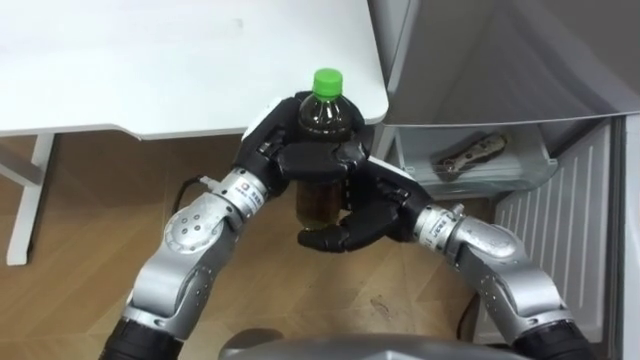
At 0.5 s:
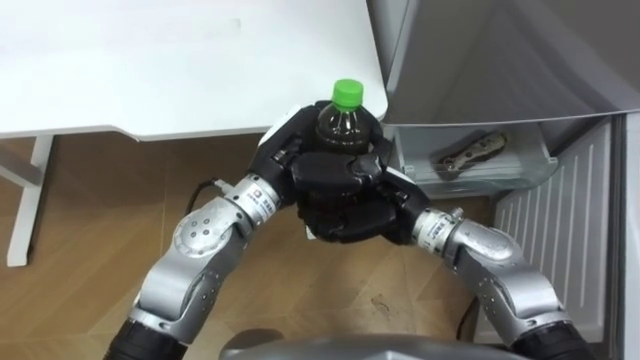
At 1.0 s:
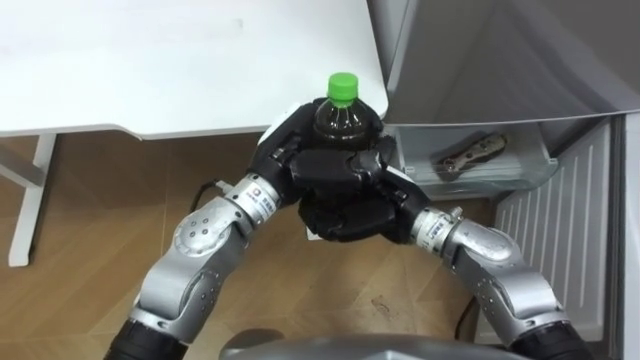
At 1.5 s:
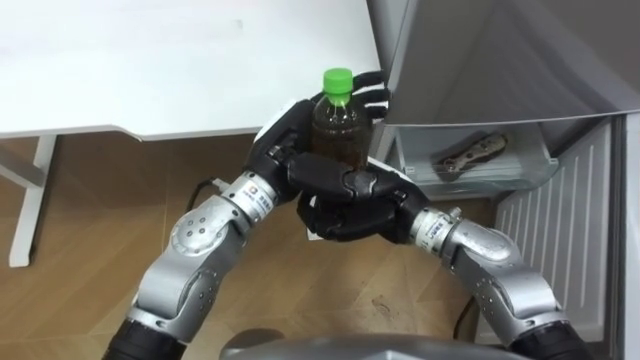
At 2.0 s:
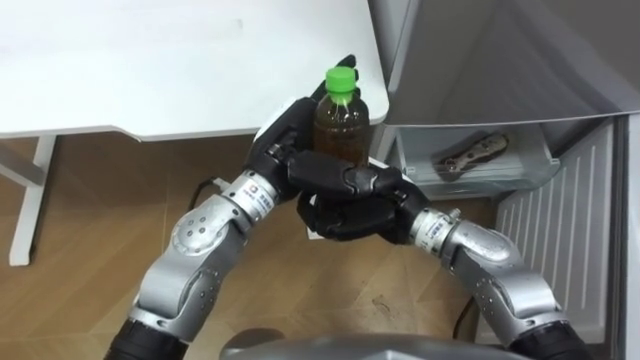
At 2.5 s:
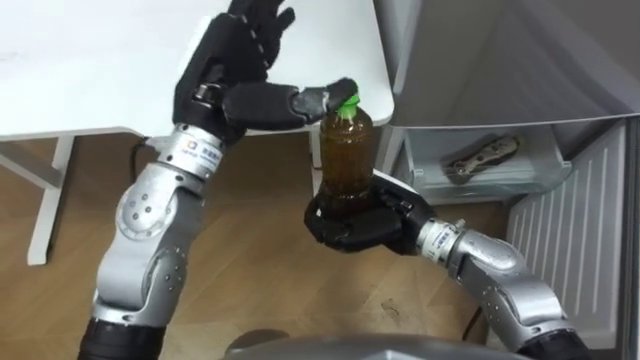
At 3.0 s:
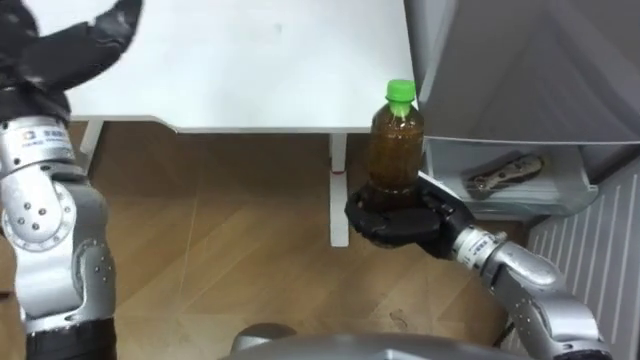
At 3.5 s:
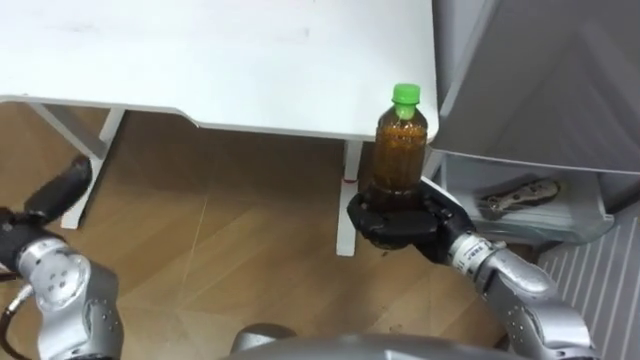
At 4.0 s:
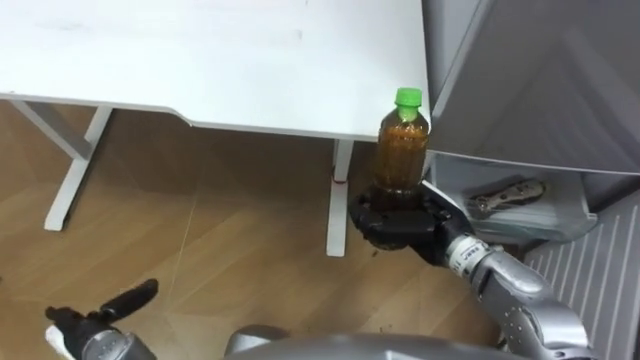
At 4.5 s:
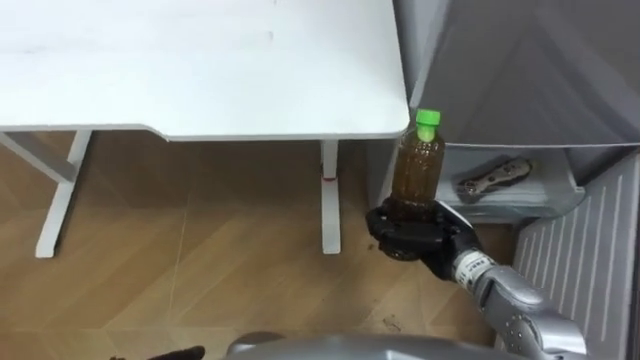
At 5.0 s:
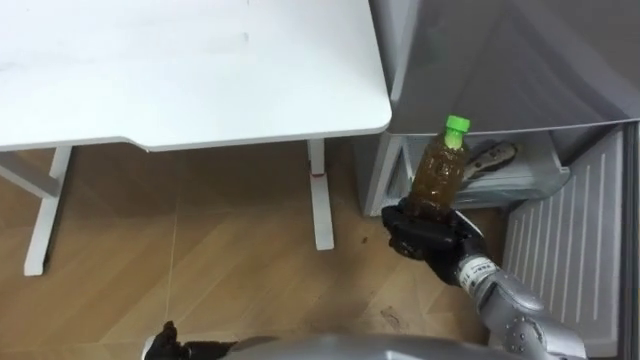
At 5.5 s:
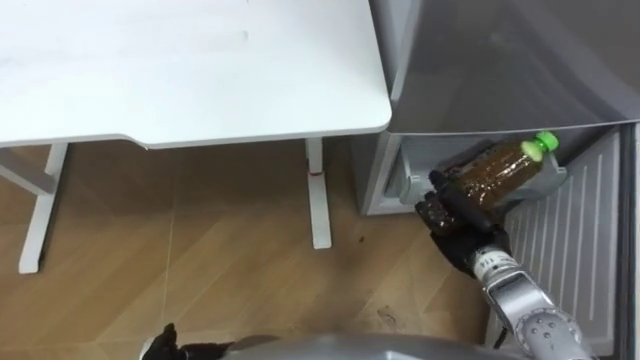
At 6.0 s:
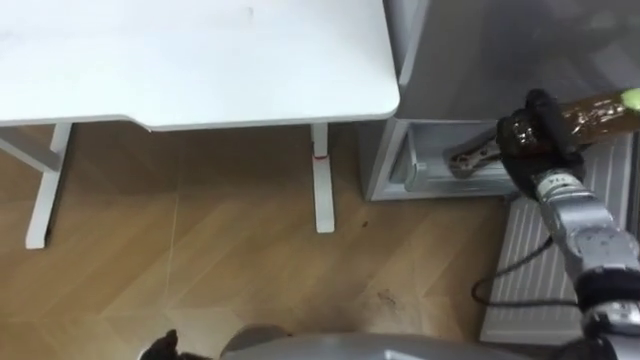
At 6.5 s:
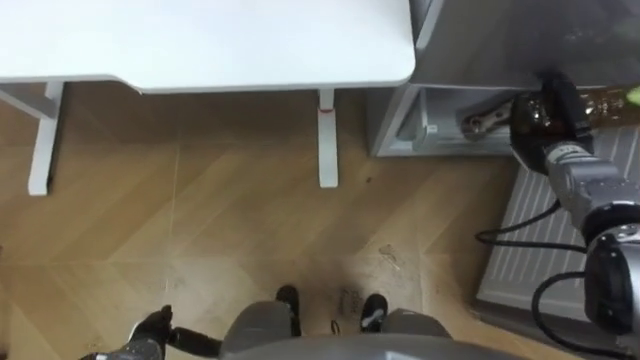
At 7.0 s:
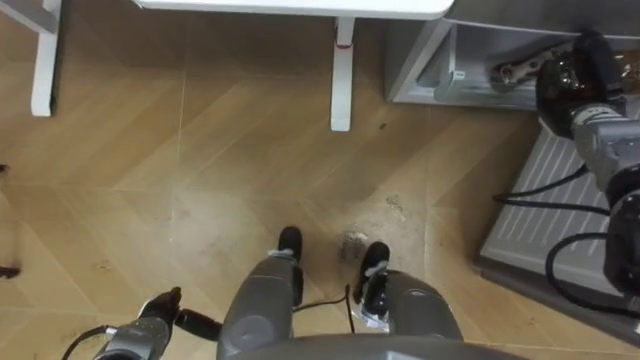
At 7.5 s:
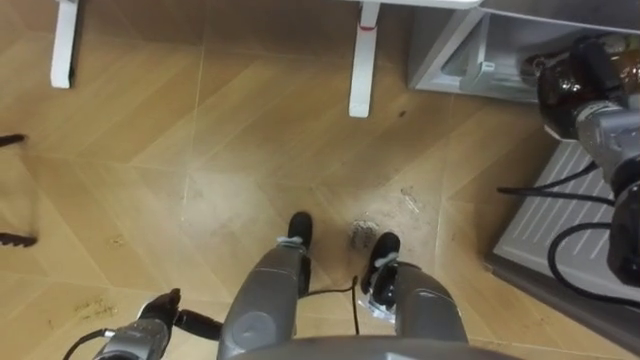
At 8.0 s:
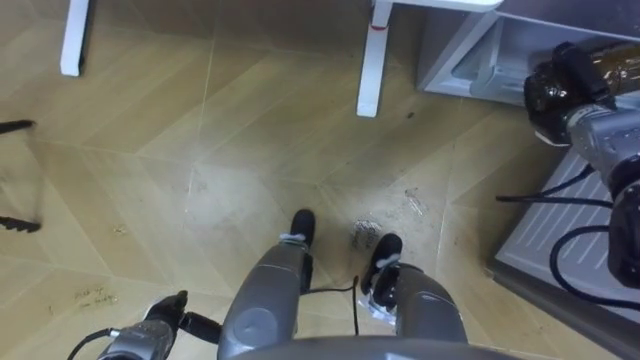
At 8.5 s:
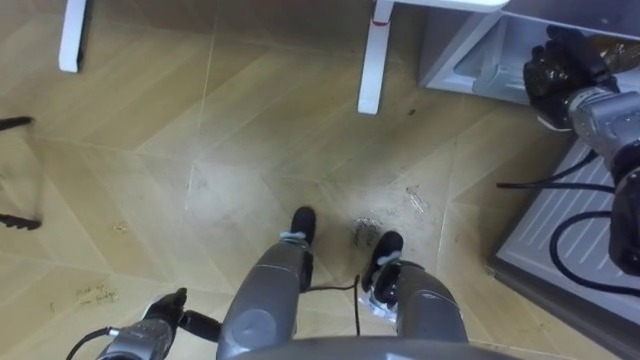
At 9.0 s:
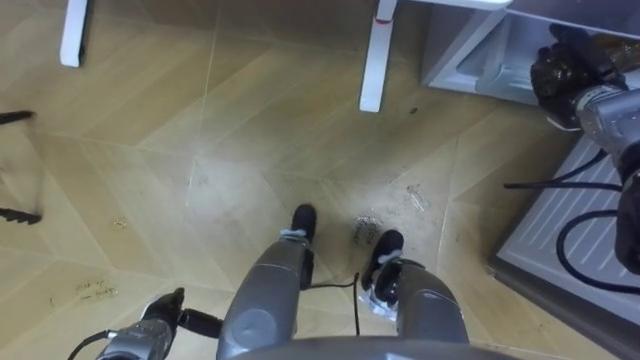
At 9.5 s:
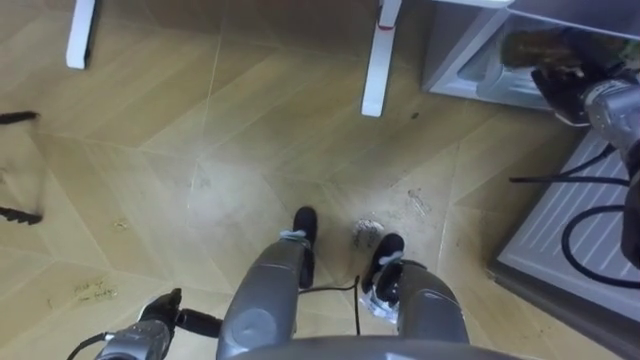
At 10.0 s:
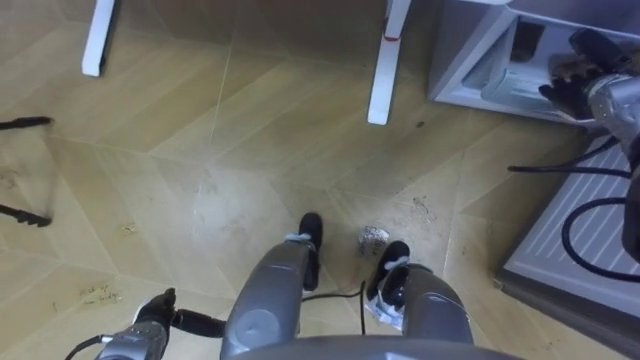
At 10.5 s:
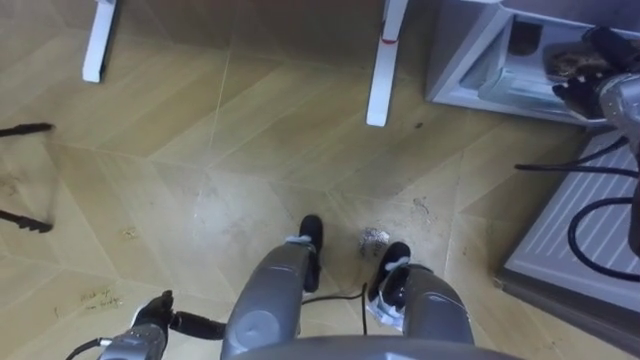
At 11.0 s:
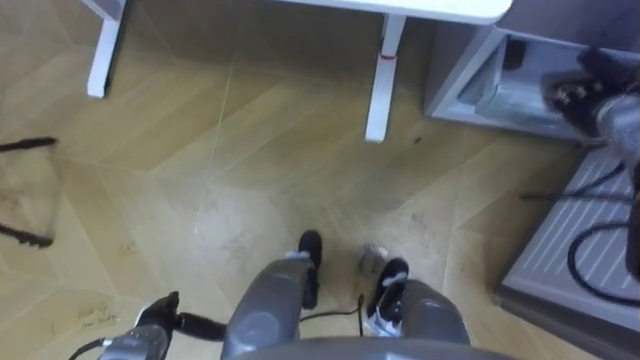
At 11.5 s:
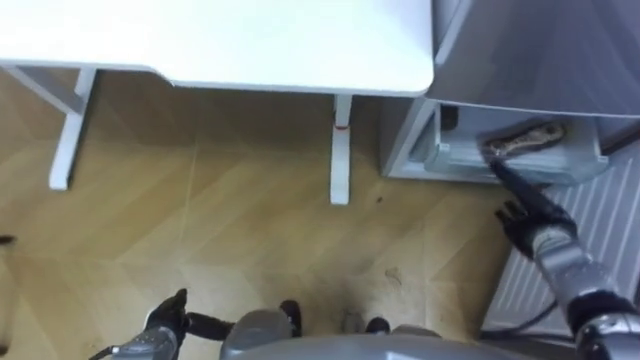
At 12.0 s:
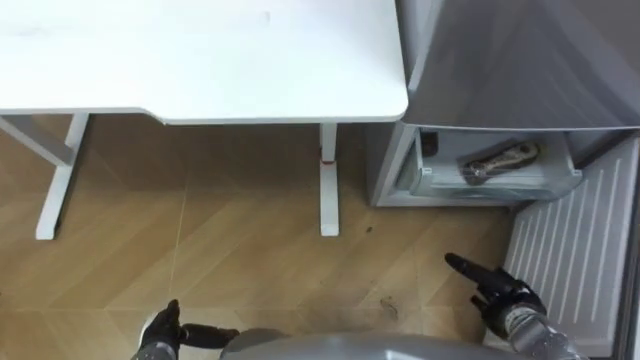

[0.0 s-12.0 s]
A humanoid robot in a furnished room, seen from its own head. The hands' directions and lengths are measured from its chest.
Task of the whole recording: Place the drink on the table on the bottom shelf of the refrigerator, then close the drawer and the refrigerator door.
0.0 to 2.0 s: The right hand closes up; the left hand opens up.
2.0 to 4.0 s: The right hand is displaced to the right by about 5 cm.
4.0 to 6.0 s: The right hand travels to the right and forward by roughly 15 cm.
6.0 to 8.0 s: The right hand goes some 5 cm forward.
8.0 to 10.0 s: The right hand opens its fingers.
10.0 to 12.0 s: The right hand is displaced backward and downward by some 30 cm.

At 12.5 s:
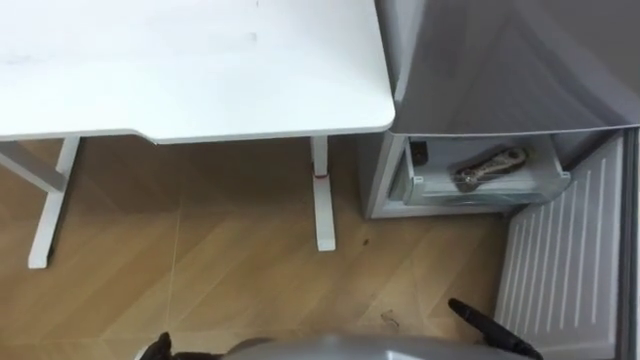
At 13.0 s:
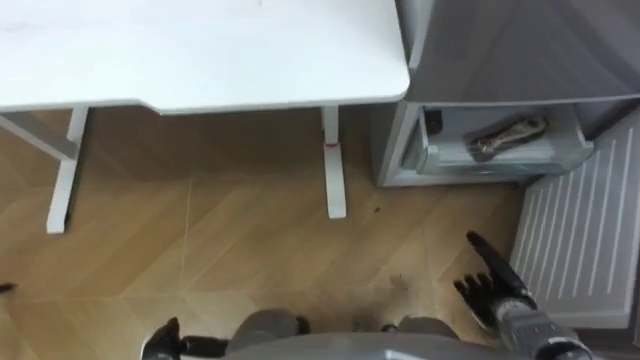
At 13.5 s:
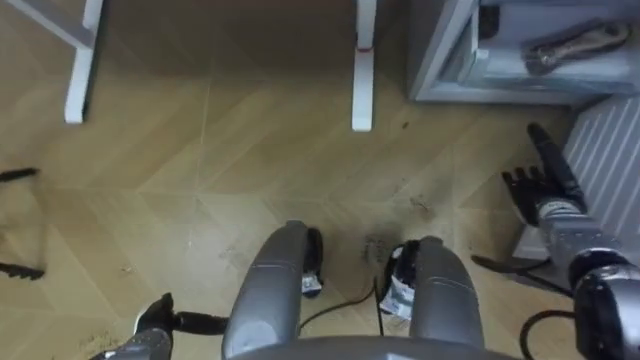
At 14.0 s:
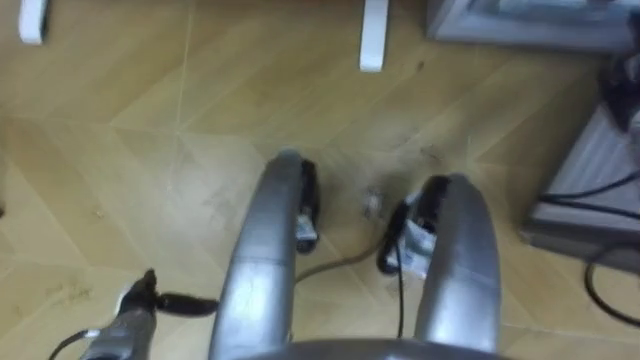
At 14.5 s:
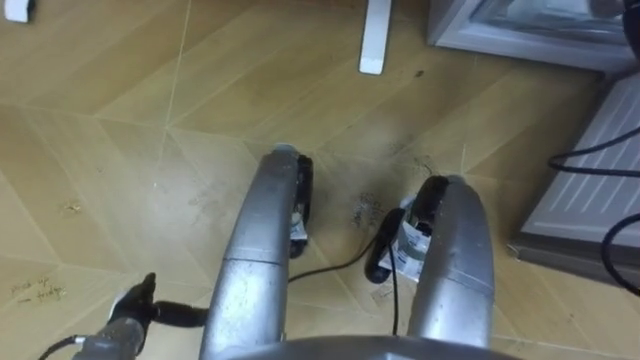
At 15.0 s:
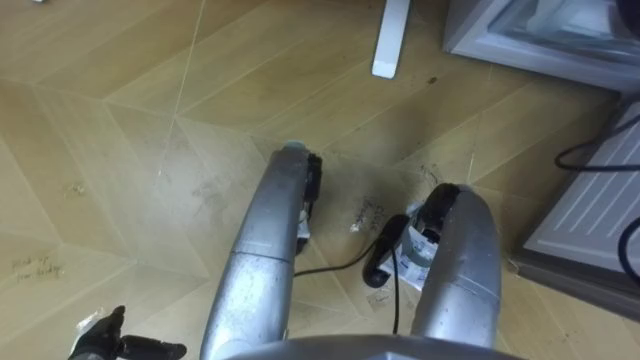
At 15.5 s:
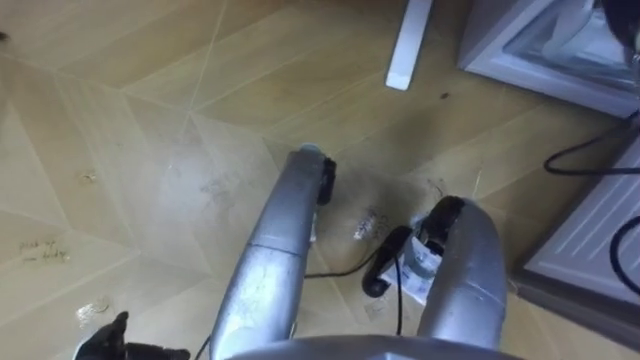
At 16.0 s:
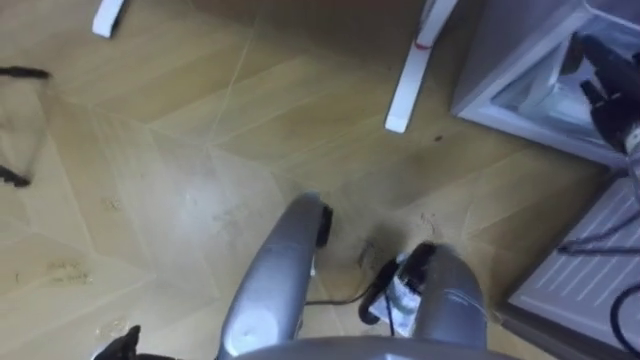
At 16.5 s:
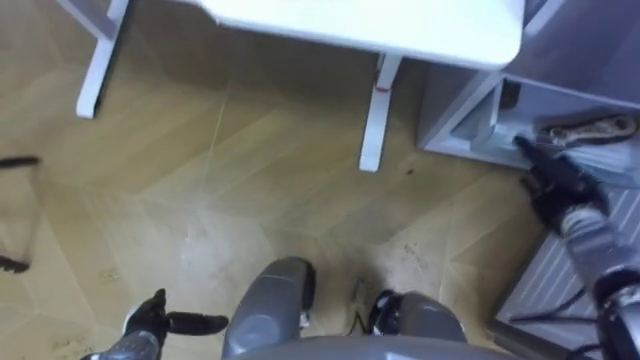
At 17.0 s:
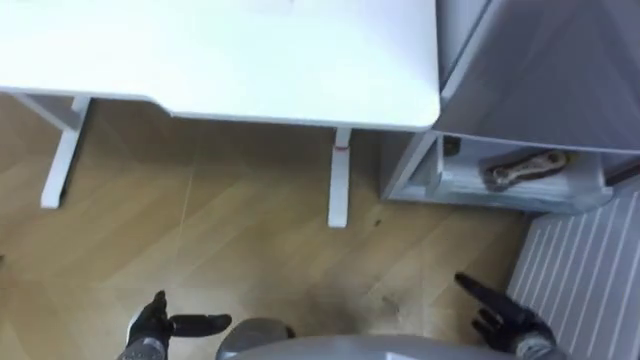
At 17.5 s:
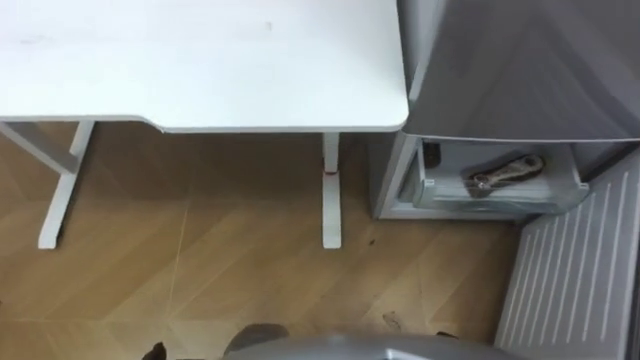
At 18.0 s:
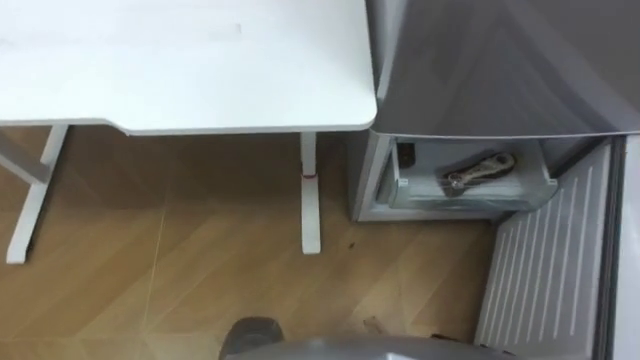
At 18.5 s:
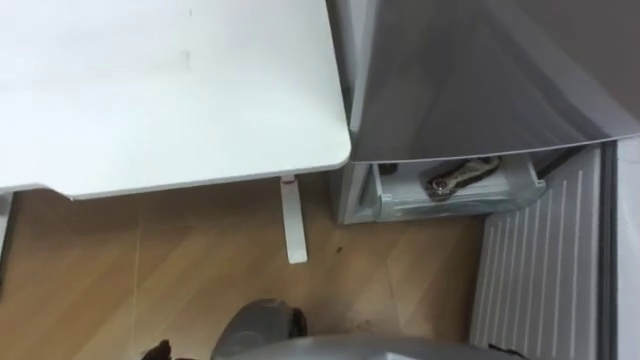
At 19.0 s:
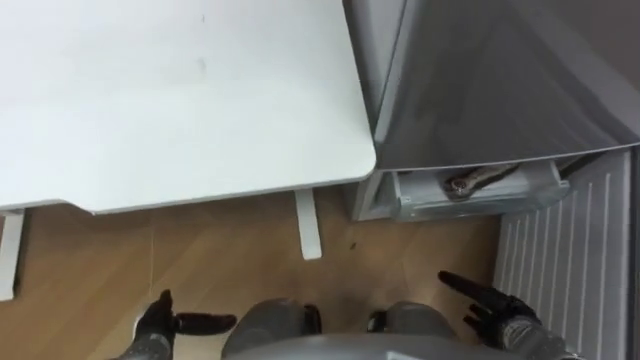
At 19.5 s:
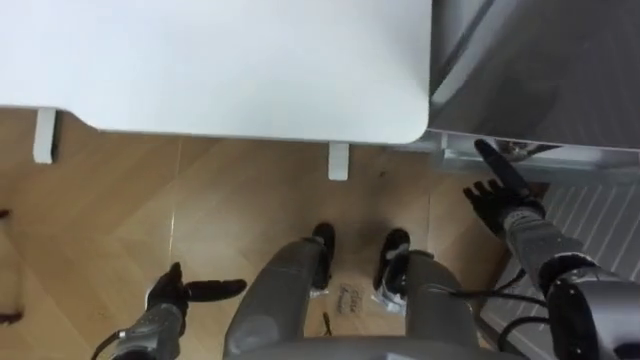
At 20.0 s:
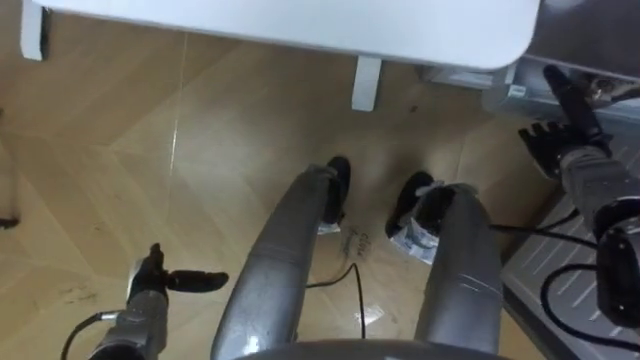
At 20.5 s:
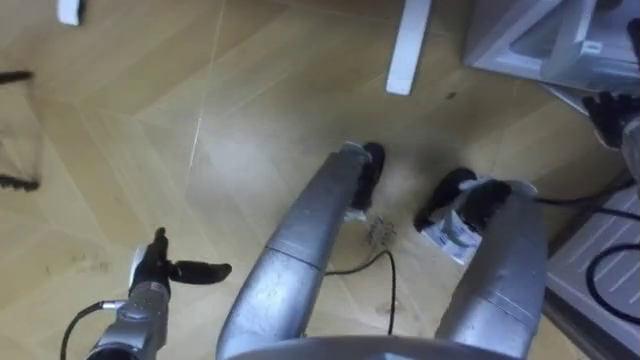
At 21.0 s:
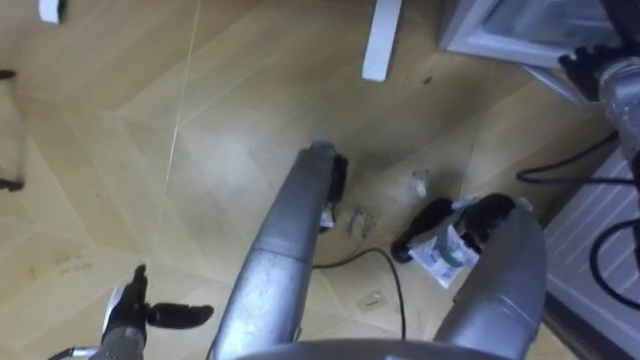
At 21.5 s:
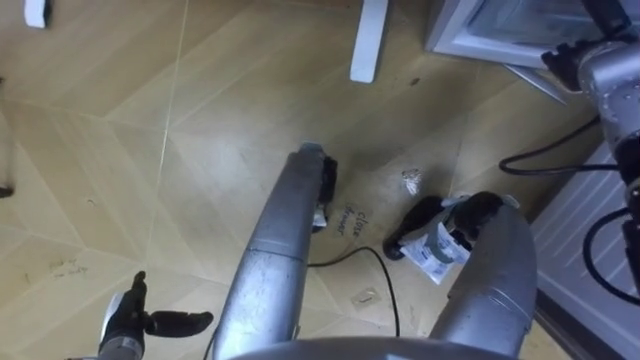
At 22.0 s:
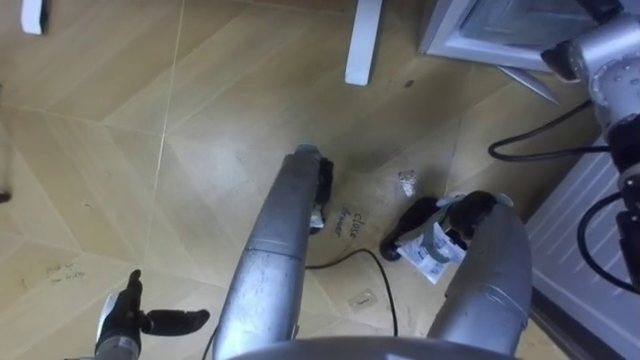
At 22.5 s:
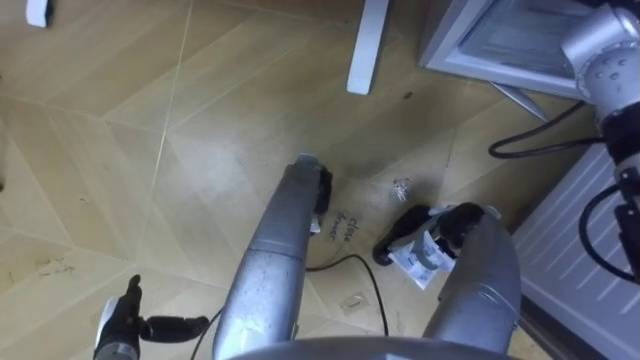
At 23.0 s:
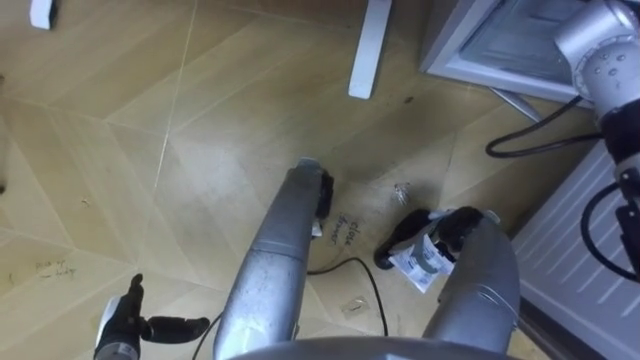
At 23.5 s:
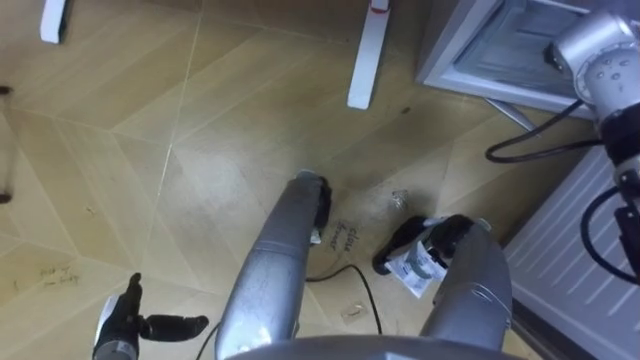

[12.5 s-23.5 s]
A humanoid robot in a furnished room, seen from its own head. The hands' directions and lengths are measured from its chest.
Task of the whole recording: Place the drink on the table on the bottom shelf of the refrigerator, then close the drawer and the refrigerator door.
20.0 to 21.5 s: The right hand goes some 15 cm upward and forward. The left hand travels backward by roughly 5 cm.
